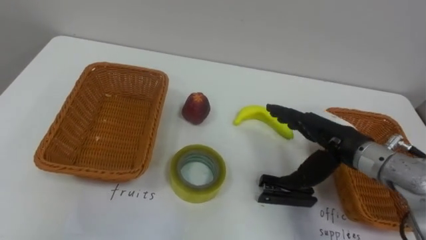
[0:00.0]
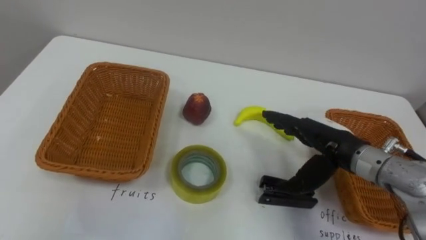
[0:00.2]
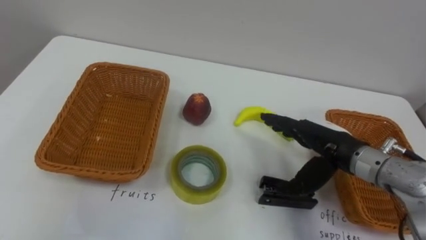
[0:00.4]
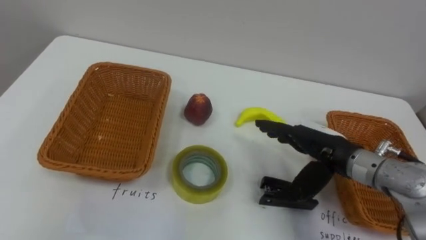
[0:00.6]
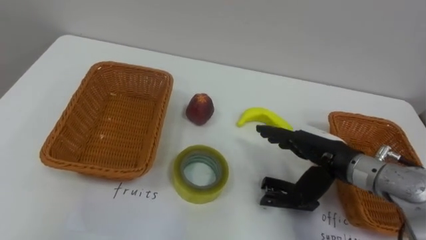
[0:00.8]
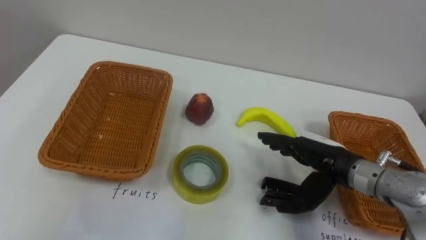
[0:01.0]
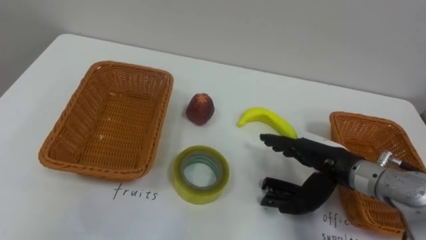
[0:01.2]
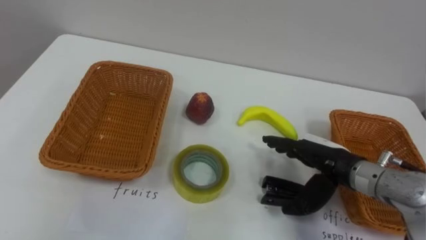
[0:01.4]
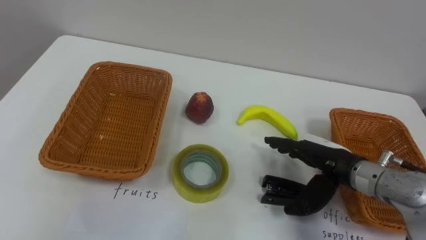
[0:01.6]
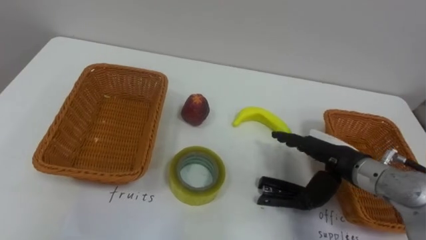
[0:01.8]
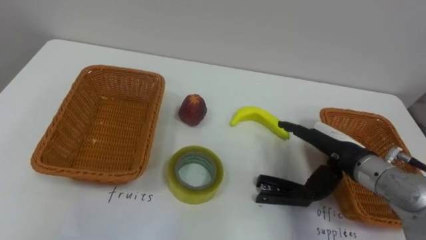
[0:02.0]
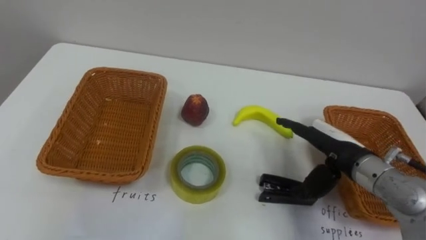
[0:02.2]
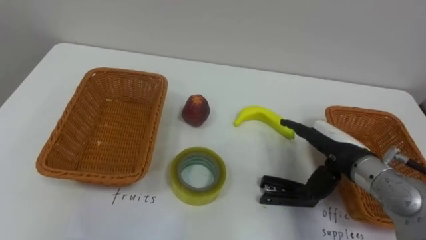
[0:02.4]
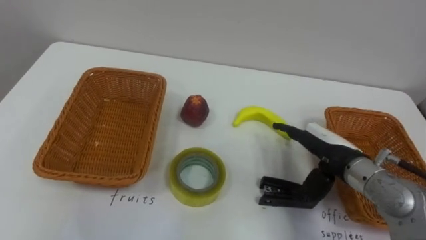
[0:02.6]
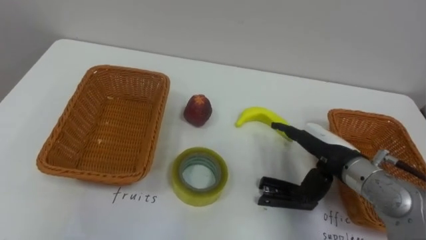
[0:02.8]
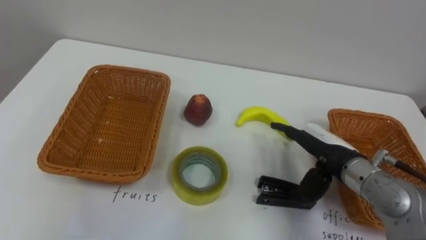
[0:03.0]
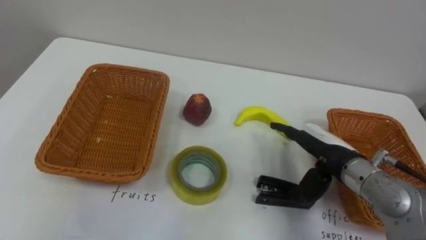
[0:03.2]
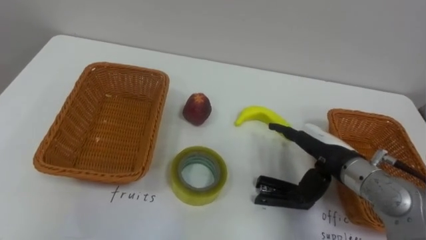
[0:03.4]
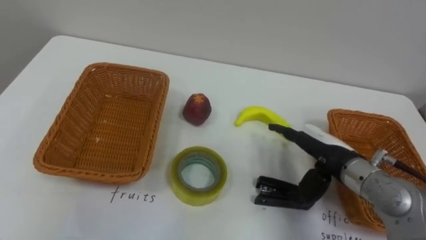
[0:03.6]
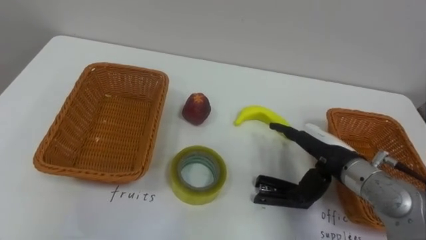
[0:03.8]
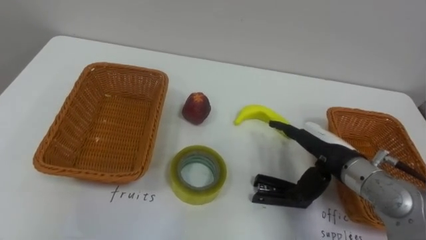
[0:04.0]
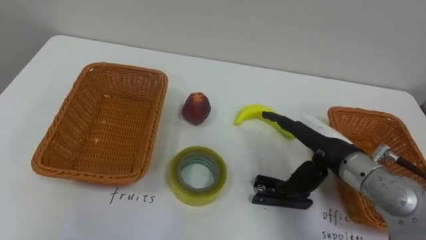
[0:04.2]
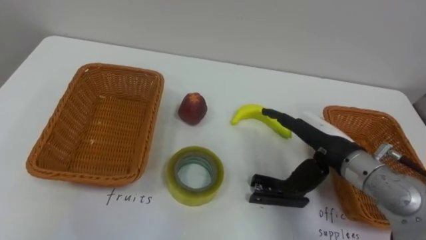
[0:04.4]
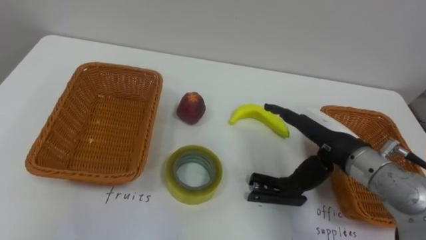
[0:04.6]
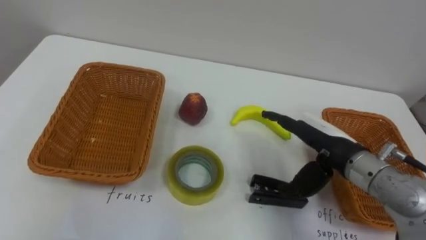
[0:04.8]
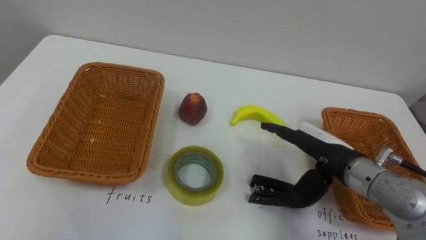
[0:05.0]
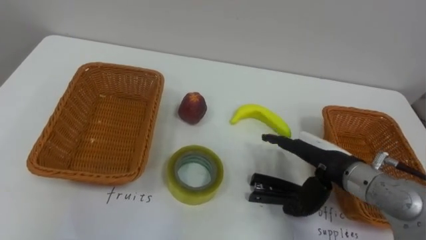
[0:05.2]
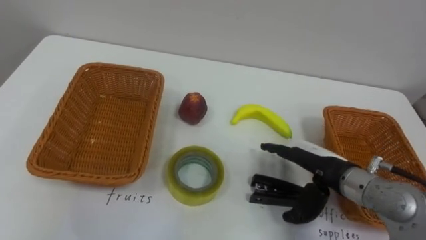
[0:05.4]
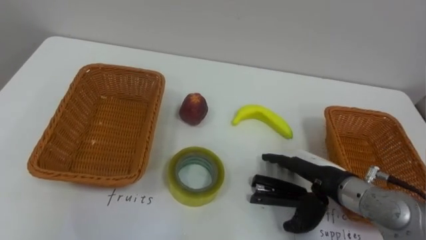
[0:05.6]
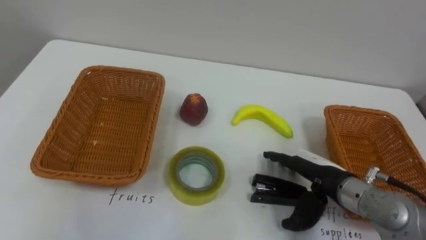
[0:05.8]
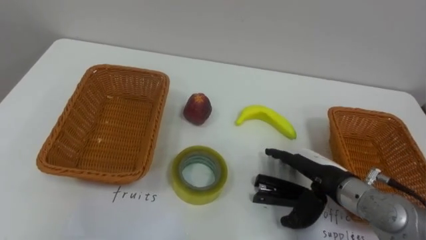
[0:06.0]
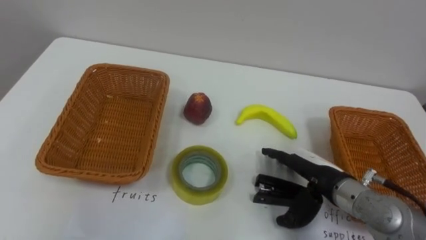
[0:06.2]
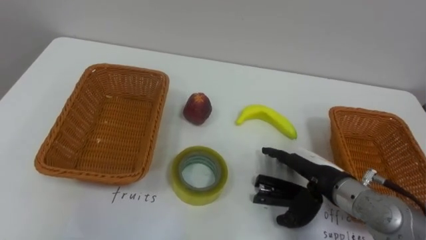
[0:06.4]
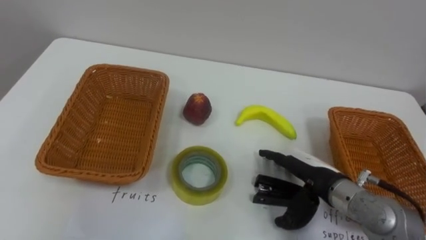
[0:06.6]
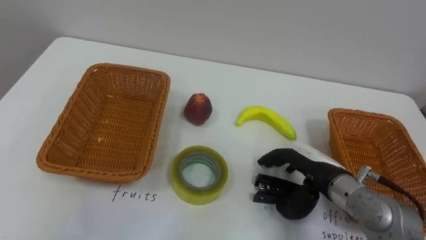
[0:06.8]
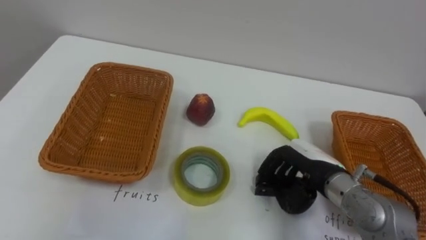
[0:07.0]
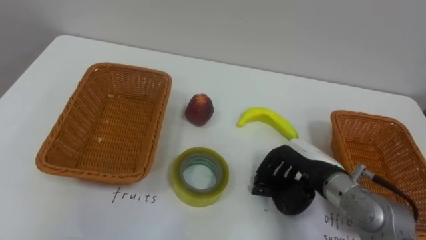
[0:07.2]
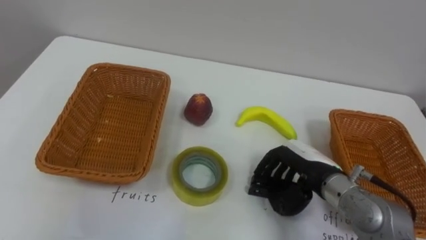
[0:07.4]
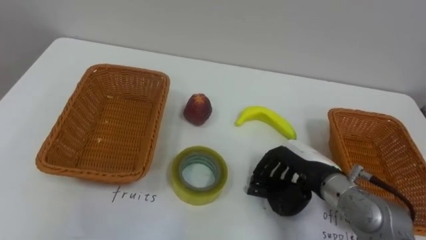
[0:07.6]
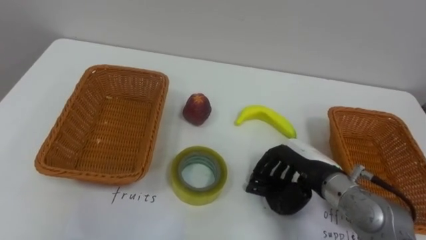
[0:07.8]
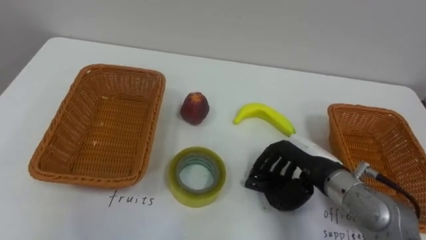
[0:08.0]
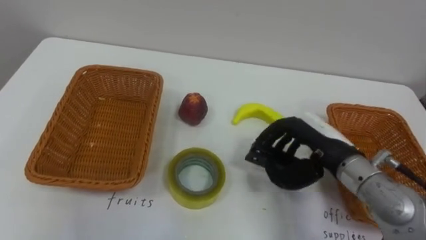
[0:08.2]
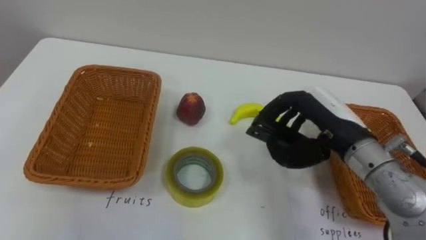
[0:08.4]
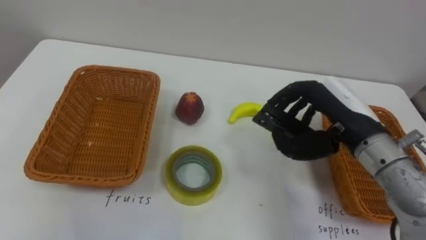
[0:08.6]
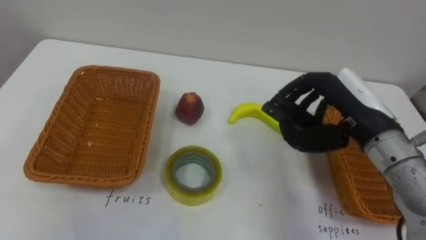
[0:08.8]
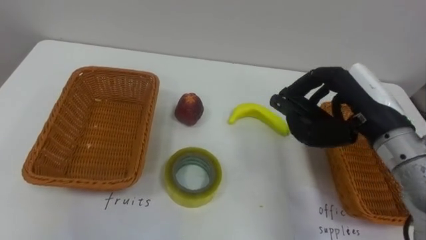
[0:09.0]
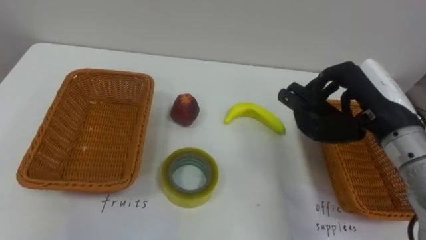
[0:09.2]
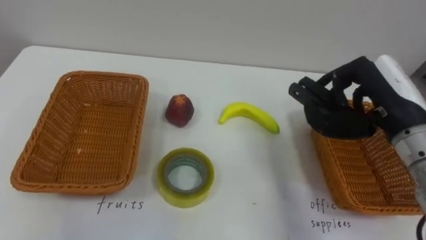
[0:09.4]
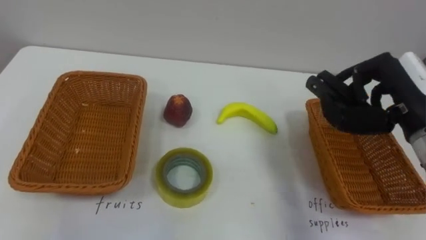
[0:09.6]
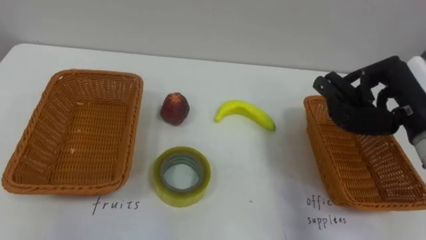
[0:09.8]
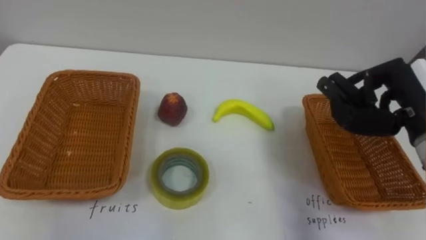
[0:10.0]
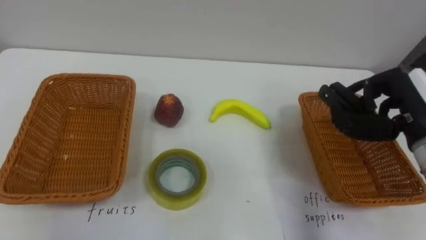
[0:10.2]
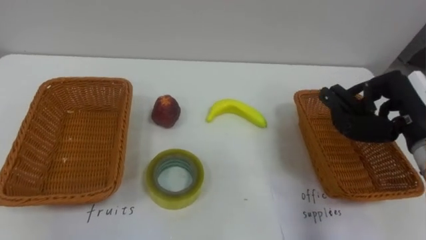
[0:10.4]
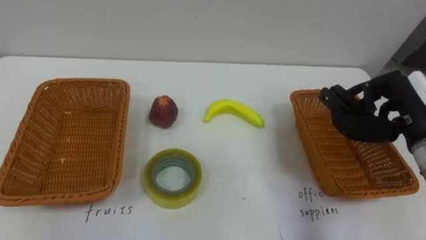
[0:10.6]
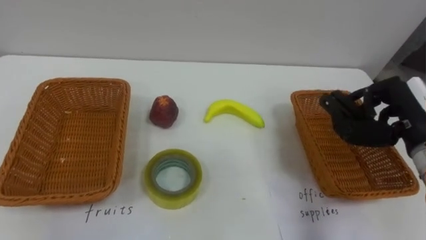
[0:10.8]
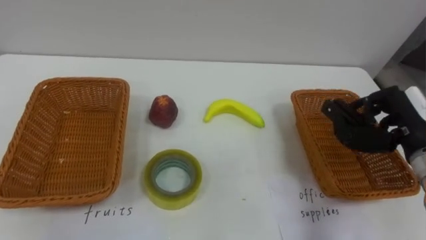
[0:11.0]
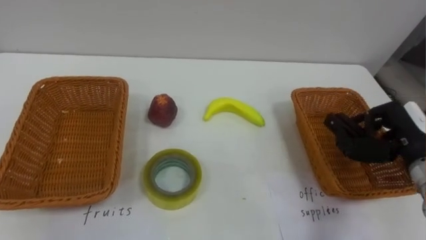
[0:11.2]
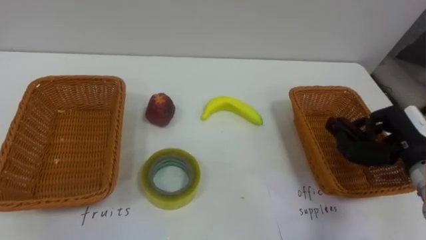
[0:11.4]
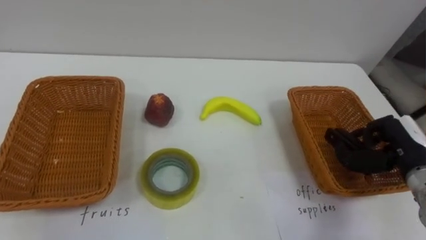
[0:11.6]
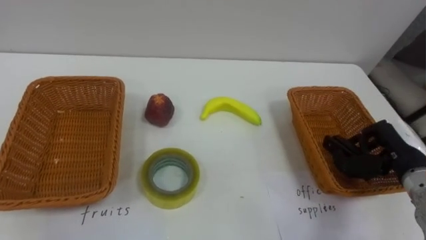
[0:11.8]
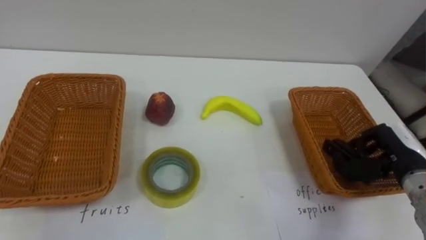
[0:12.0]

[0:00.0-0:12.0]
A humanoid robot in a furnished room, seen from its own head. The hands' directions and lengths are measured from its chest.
Task of the whole recording: Separate the items on the table and place them into the two baskets.
0:04.4 to 0:06.0: The right hand heads downward, covering roughly 5 cm.
0:06.0 to 0:07.6: The right hand closes its fingers.
0:07.6 to 0:09.0: The right hand travels upward and to the right by roughly 15 cm.
0:09.0 to 0:10.4: The right hand goes about 10 cm to the right.
0:10.4 to 0:12.0: The right hand travels downward by some 10 cm.

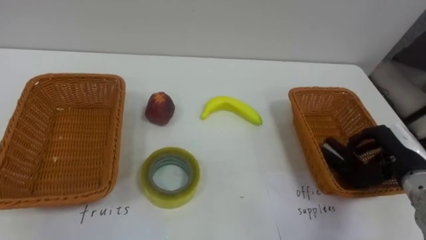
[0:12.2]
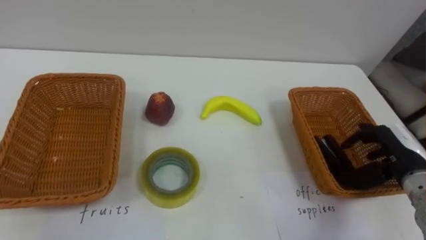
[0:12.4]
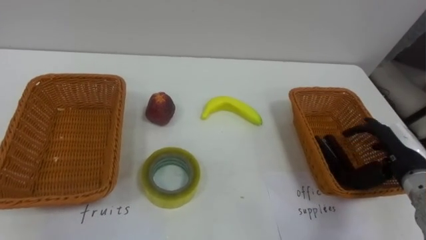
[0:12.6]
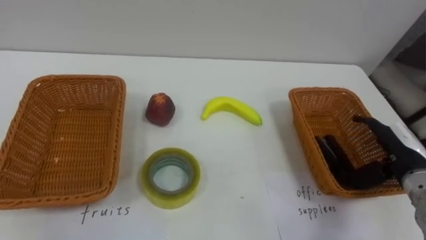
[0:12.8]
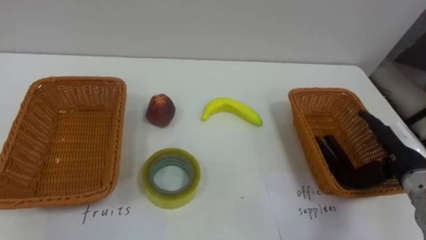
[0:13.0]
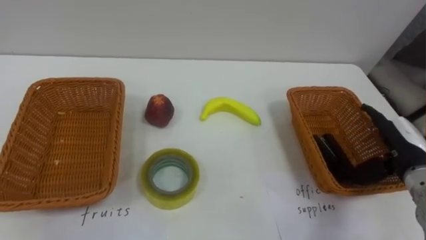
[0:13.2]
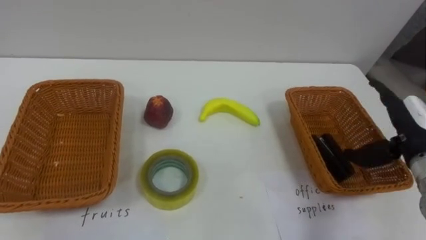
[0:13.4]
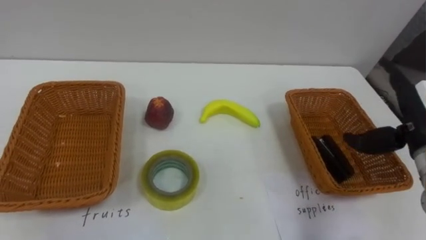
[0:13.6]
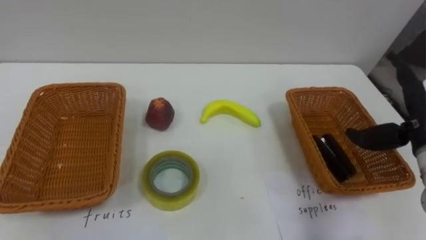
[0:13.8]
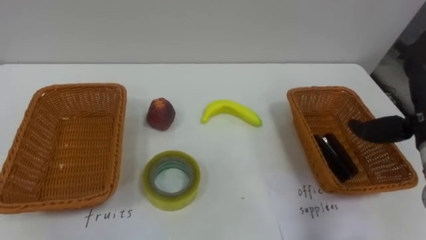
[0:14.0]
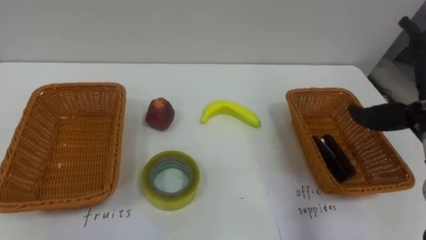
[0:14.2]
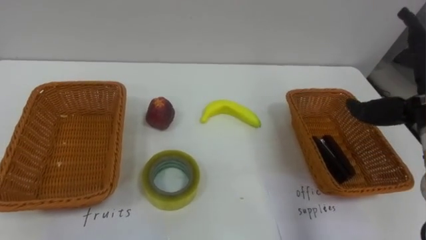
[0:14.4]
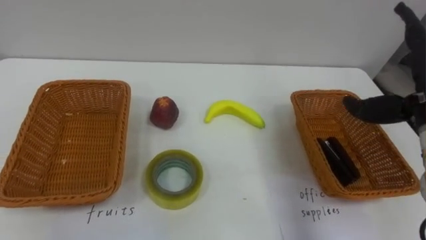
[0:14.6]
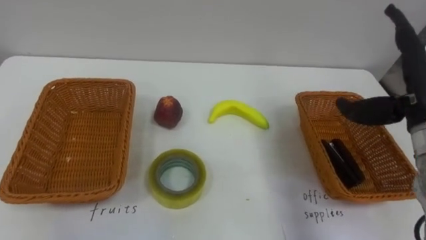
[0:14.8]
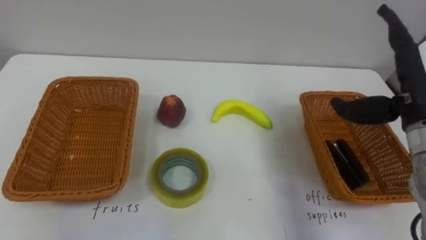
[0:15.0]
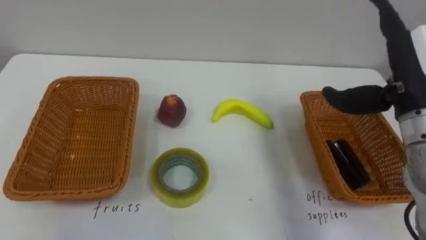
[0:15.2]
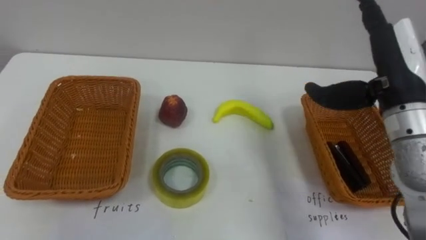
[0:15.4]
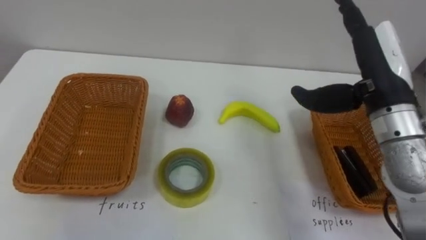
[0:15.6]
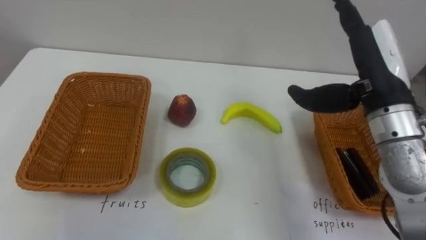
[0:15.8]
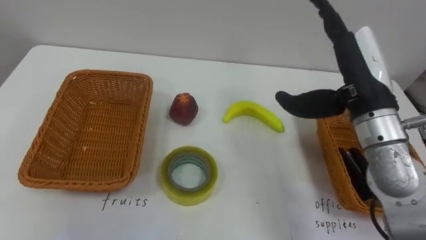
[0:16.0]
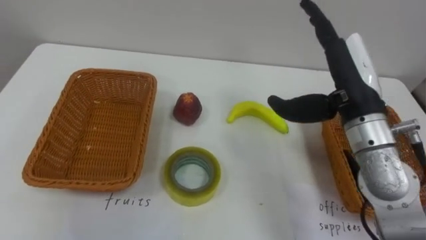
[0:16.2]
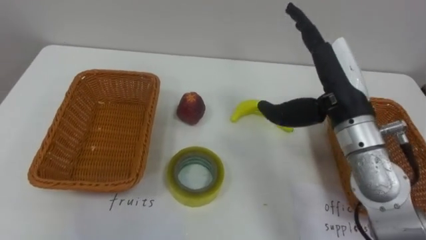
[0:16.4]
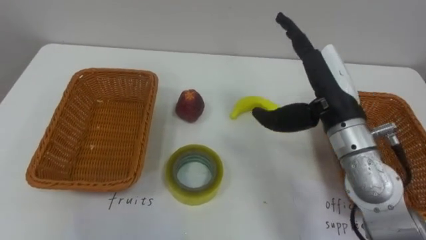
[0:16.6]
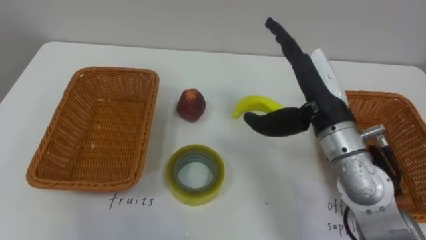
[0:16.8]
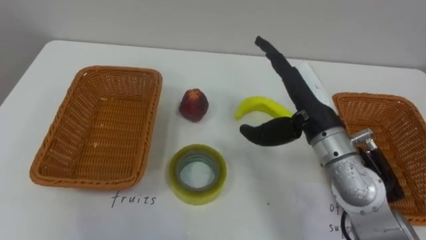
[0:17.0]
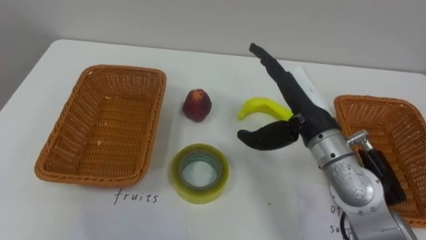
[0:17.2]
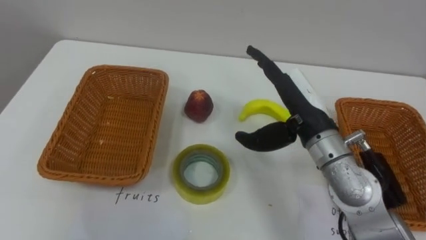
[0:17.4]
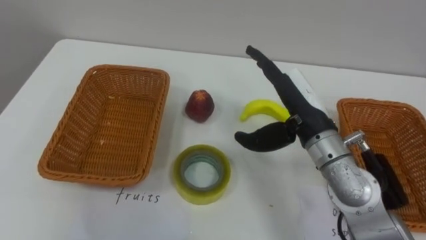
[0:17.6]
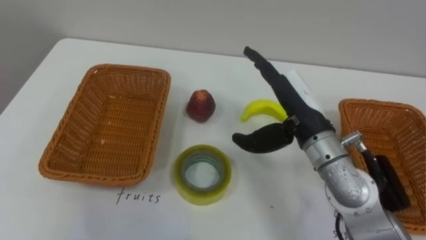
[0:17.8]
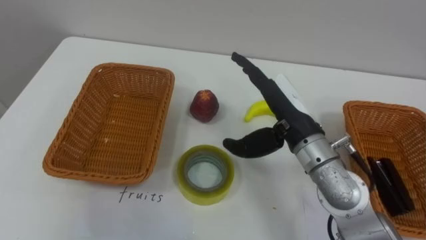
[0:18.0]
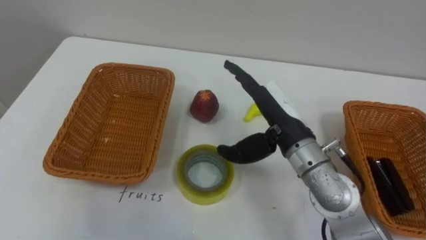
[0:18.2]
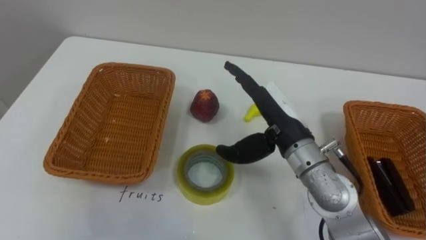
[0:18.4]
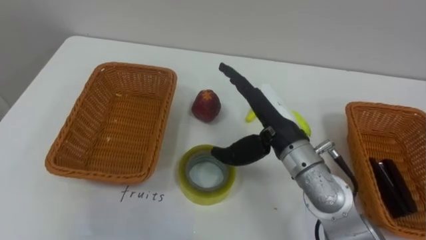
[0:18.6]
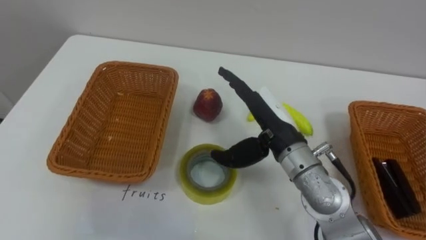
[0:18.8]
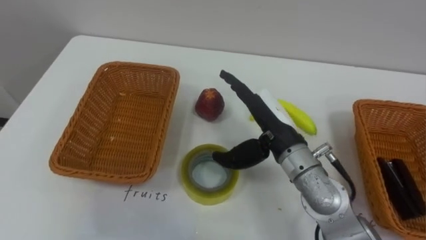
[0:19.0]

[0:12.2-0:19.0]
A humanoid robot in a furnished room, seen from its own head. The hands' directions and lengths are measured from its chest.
Task of the whole recording: Separate the items on the table and place them into the two baskets.
0:12.2 to 0:13.6: The right hand is displaced upward by roughly 10 cm, and opens.
0:15.0 to 0:16.2: The right hand shifts approximately 10 cm to the left.
0:16.2 to 0:17.6: The right hand heads to the left and downward, covering about 10 cm.
0:17.6 to 0:19.0: The right hand moves about 5 cm.
